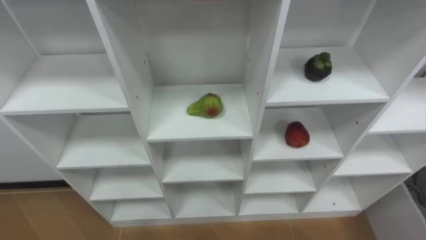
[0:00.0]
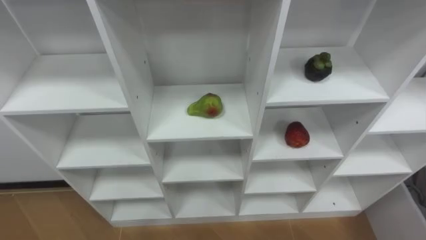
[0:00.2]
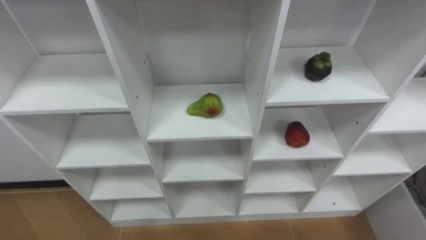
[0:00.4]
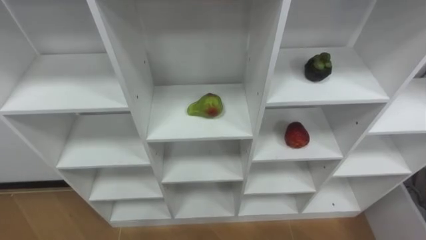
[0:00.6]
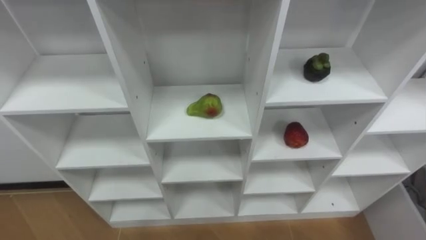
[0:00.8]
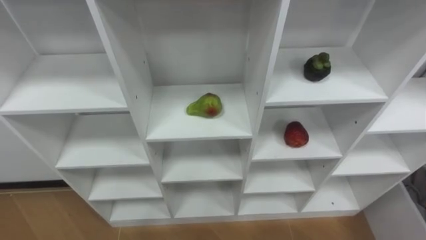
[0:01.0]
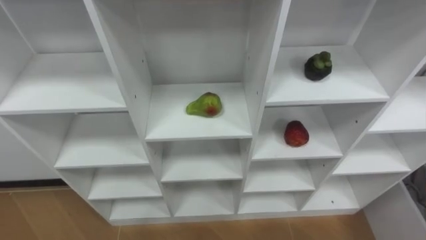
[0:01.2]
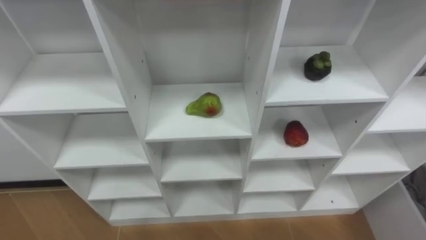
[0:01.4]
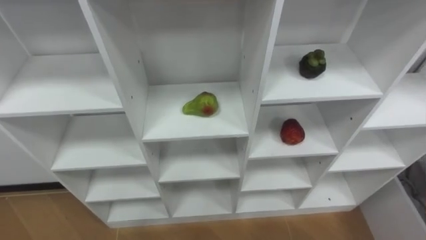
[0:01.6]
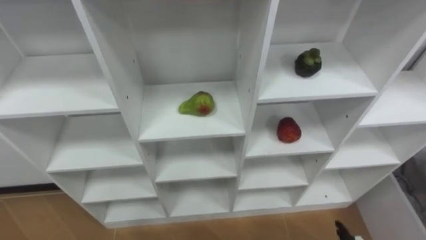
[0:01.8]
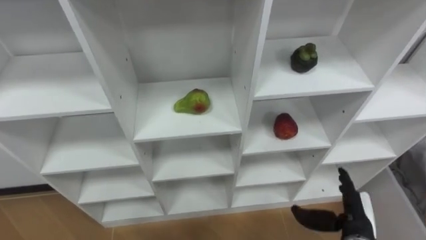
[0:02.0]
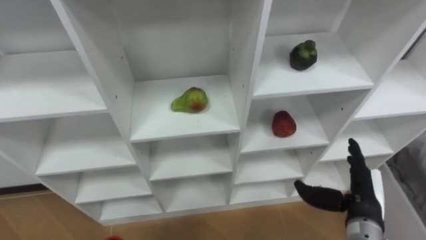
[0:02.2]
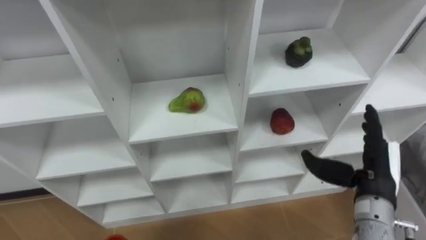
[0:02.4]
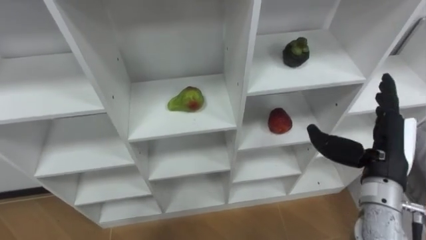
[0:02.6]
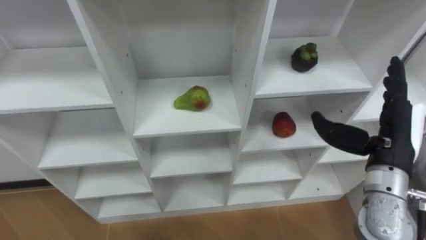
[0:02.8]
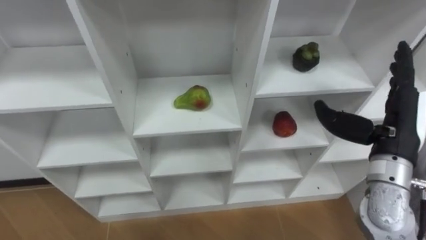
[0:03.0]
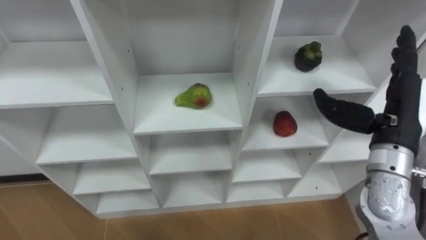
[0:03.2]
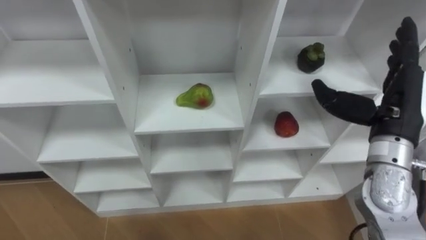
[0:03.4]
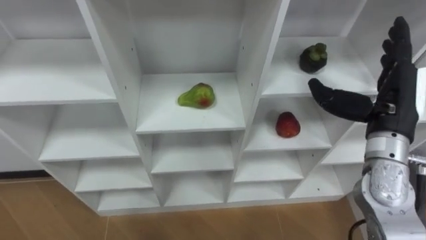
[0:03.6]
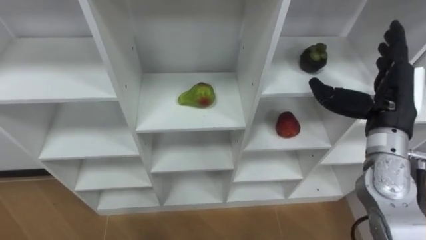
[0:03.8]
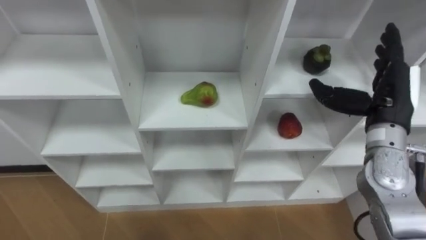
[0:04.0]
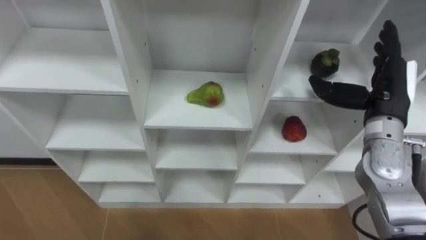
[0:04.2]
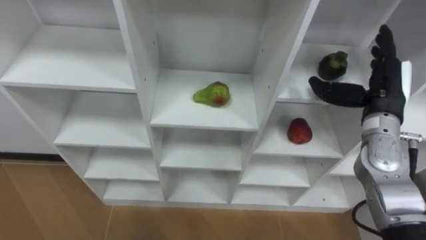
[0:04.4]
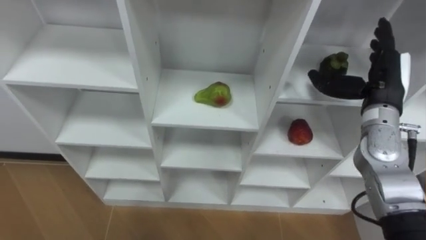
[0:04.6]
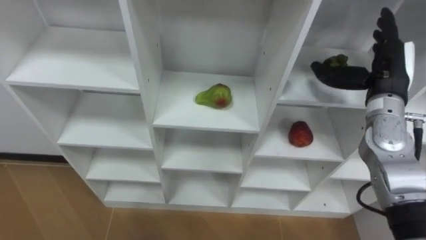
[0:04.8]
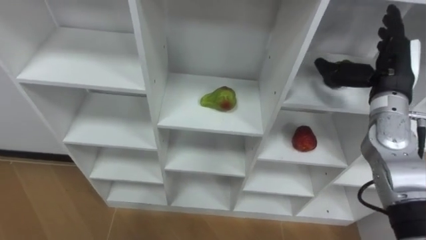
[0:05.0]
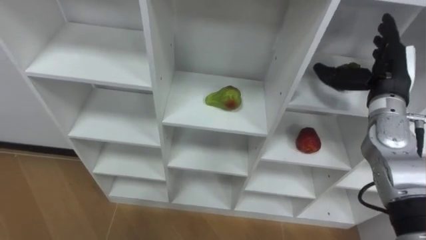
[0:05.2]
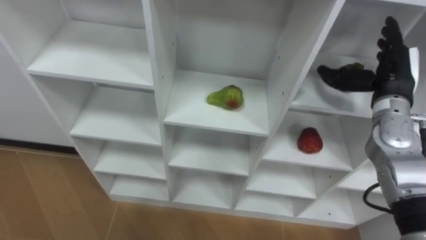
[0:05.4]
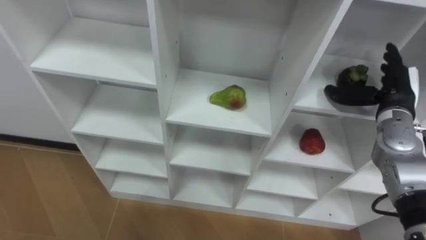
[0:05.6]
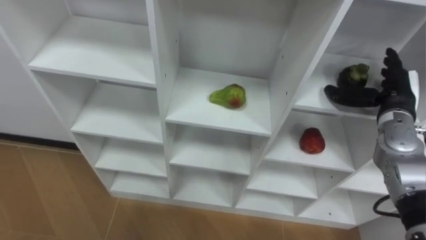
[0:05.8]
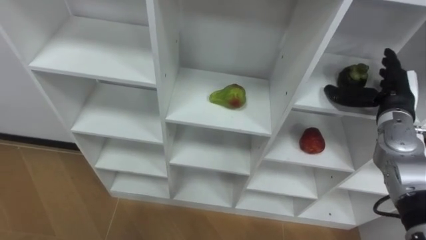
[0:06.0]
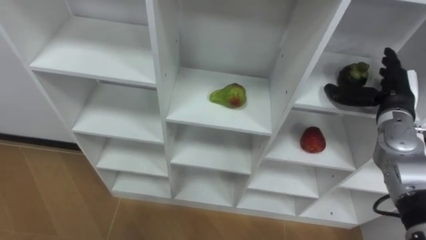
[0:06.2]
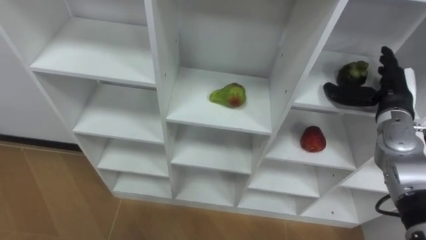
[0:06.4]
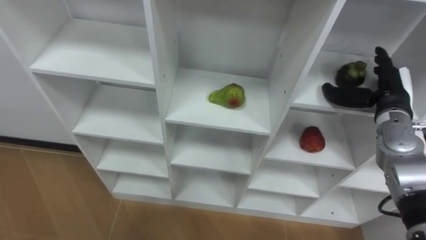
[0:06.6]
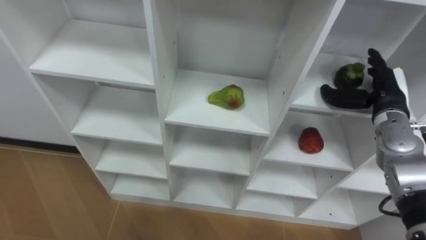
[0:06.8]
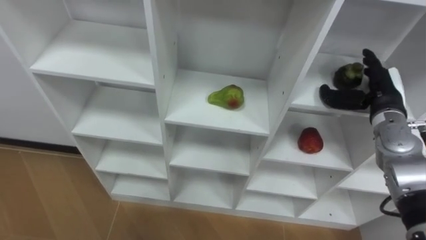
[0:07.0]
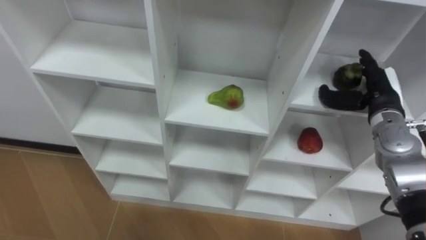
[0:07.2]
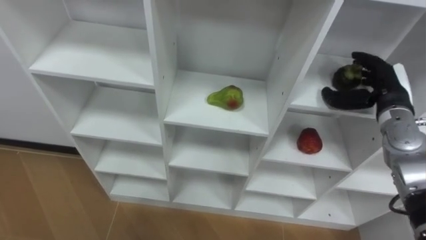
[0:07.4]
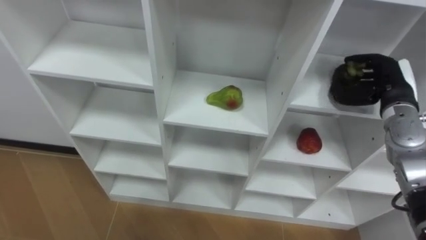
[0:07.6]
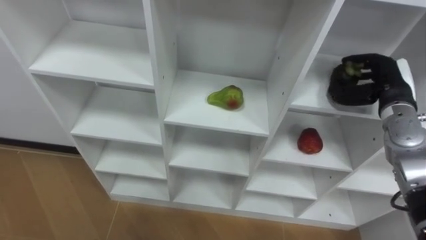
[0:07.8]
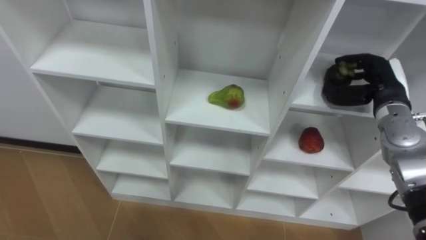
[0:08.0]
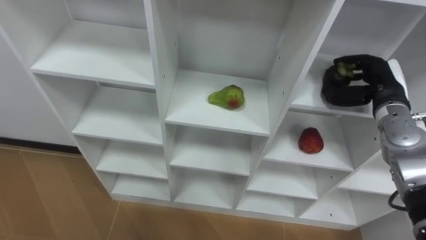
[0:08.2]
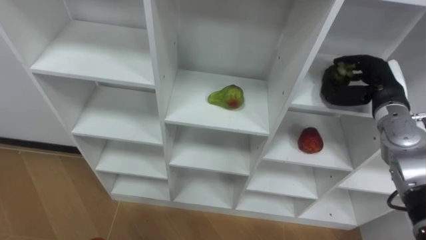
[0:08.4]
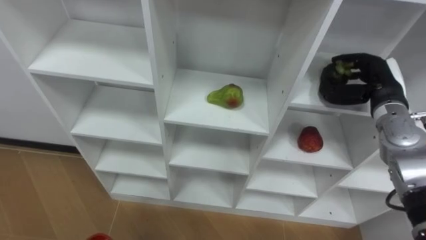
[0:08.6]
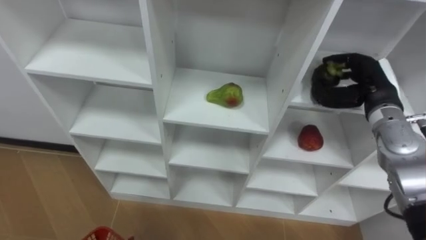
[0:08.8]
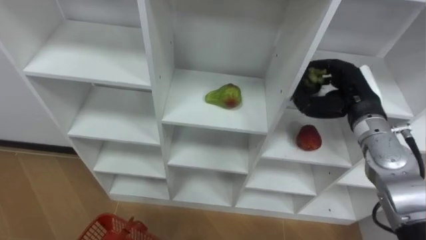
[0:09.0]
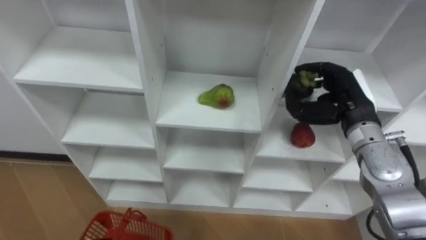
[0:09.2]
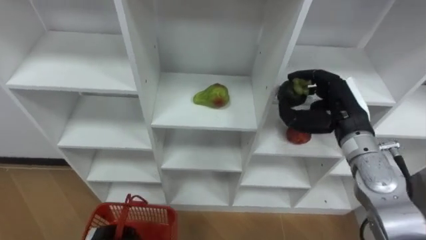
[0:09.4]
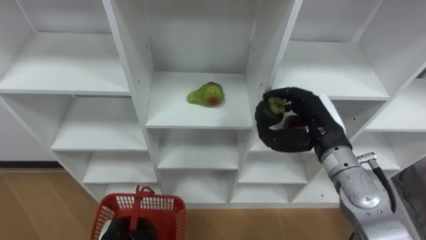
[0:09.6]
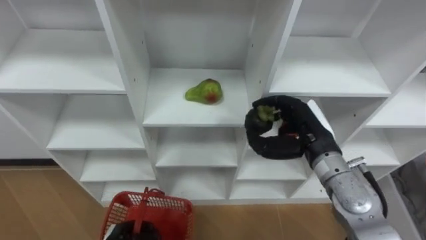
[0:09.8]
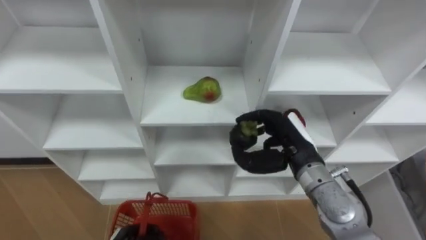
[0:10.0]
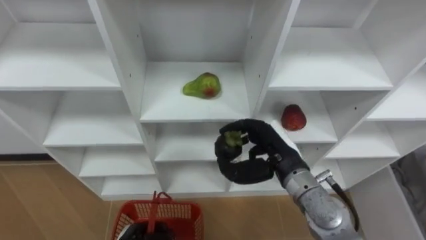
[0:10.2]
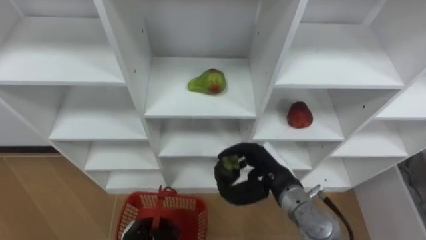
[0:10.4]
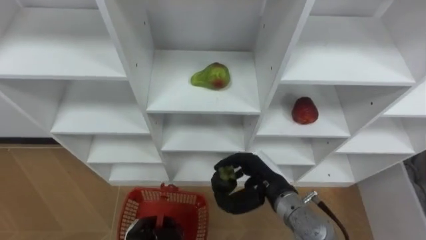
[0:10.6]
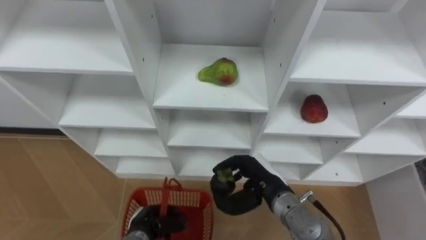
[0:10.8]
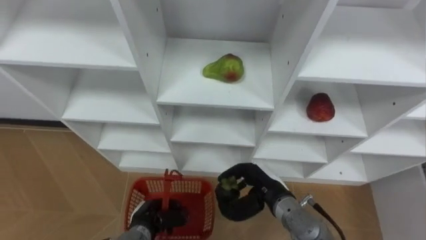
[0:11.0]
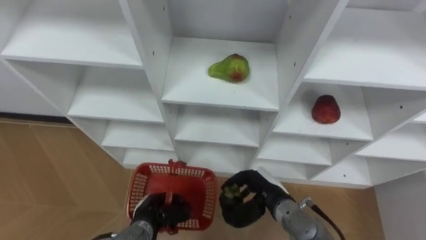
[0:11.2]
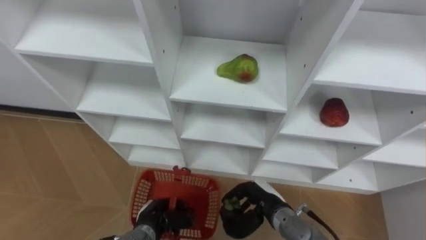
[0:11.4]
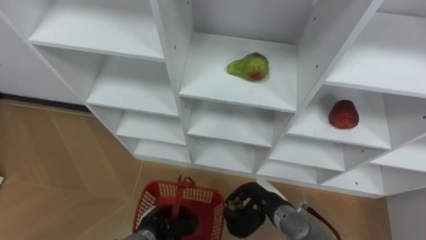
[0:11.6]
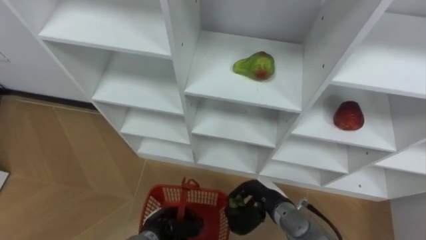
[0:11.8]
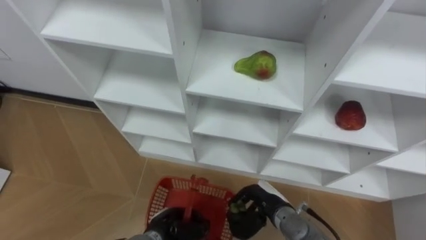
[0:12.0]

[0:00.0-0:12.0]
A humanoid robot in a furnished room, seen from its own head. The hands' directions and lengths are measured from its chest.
Task of the whole recording: Hold the basket and collect the fruits from 3 different cells of the closet into it.
0:03.0 to 0:04.4: The right hand shifts about 10 cm forward.
0:04.4 to 0:06.0: The right hand ends up approximately 5 cm from where it was.
0:06.0 to 0:07.6: The right hand closes its fingers.
0:07.6 to 0:09.0: The right hand heads to the left, covering approximately 5 cm.
0:09.0 to 0:10.4: The right hand is displaced to the left, downward and backward by approximately 20 cm.
0:10.4 to 0:12.0: The left hand travels to the right by approximately 5 cm. The right hand heads downward, covering about 10 cm.

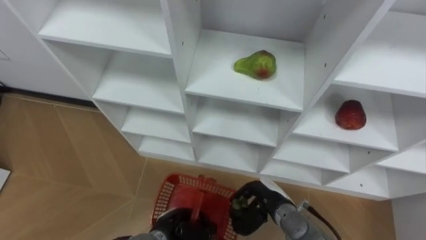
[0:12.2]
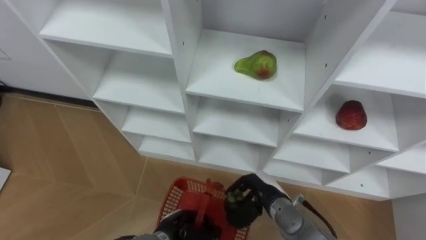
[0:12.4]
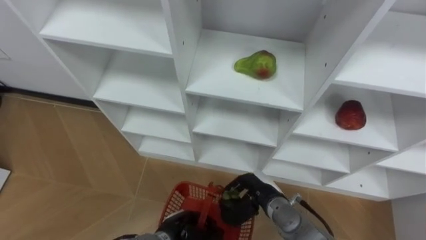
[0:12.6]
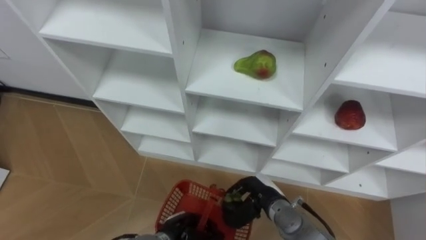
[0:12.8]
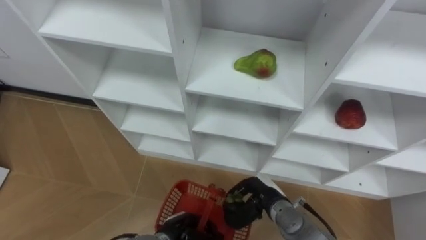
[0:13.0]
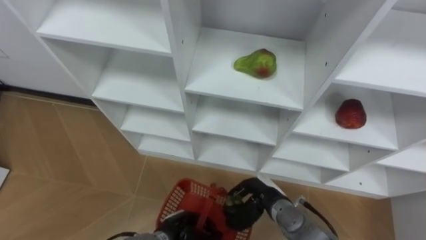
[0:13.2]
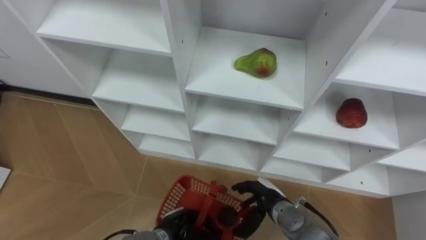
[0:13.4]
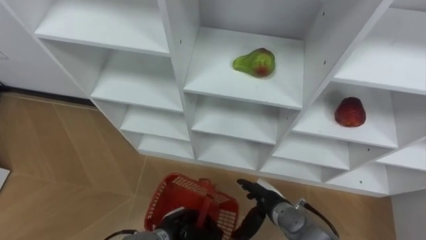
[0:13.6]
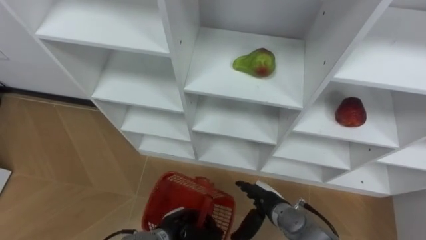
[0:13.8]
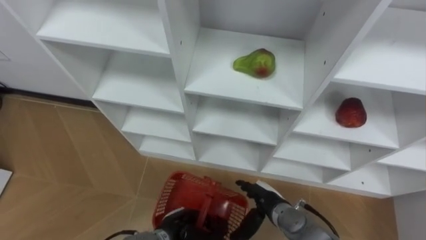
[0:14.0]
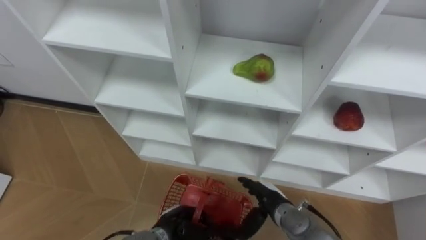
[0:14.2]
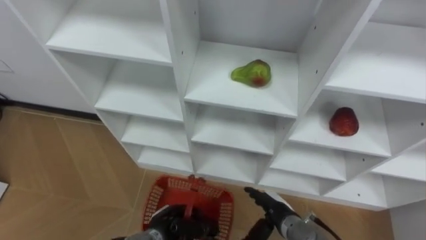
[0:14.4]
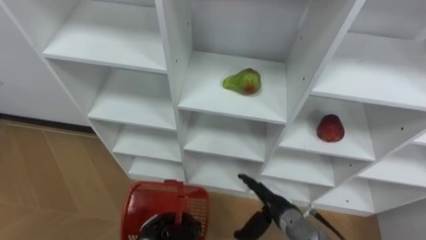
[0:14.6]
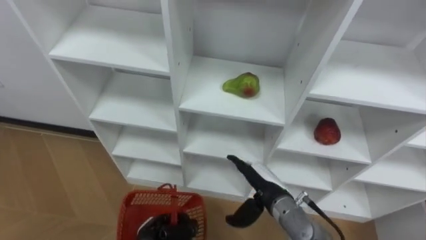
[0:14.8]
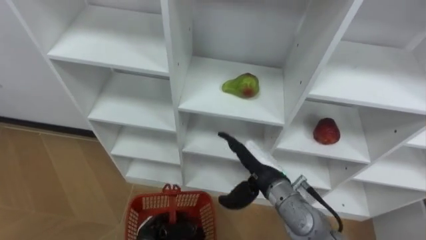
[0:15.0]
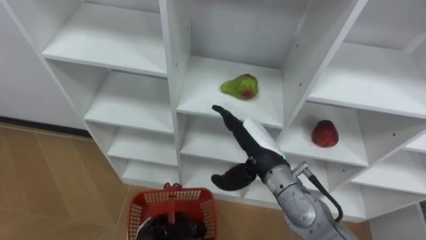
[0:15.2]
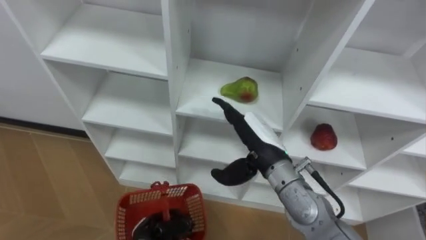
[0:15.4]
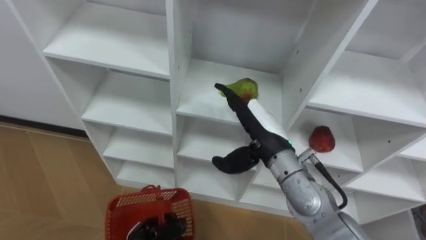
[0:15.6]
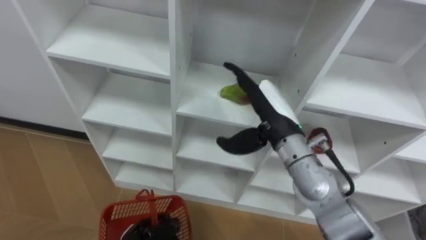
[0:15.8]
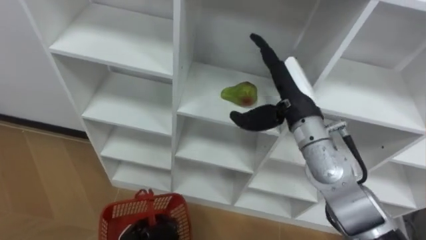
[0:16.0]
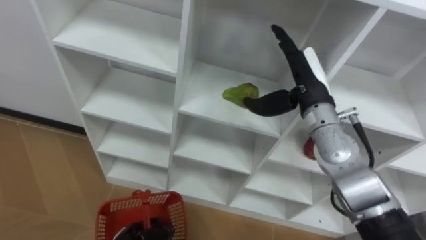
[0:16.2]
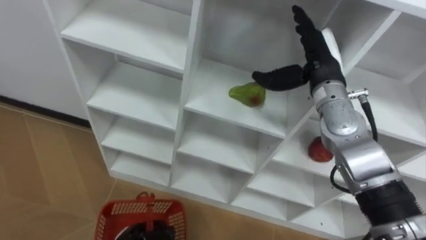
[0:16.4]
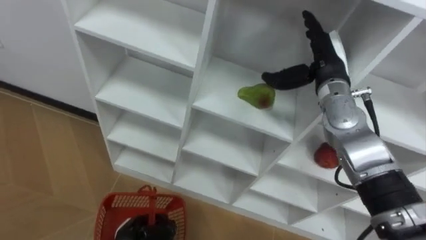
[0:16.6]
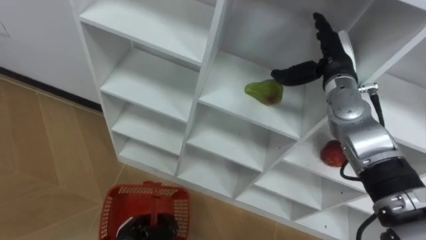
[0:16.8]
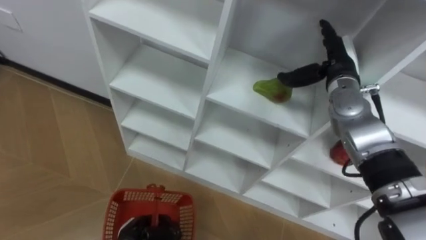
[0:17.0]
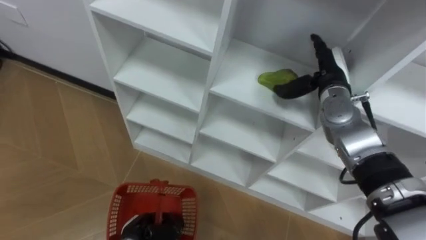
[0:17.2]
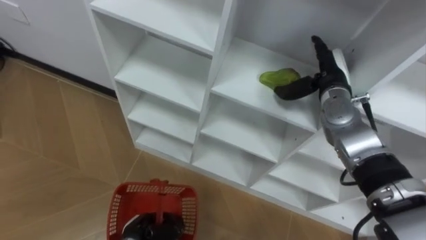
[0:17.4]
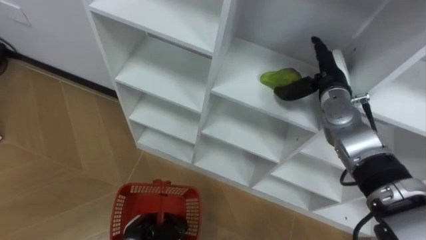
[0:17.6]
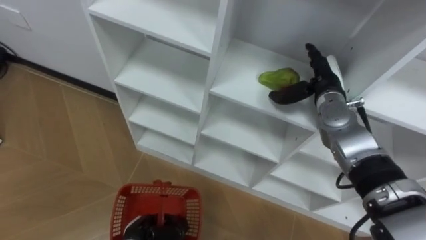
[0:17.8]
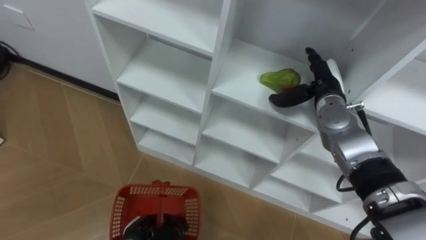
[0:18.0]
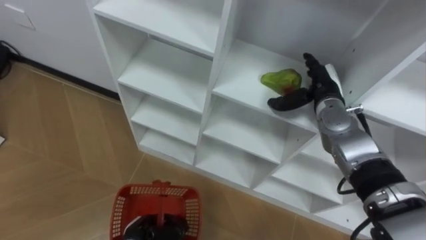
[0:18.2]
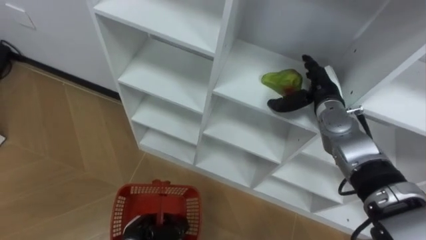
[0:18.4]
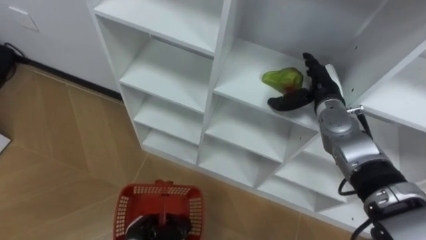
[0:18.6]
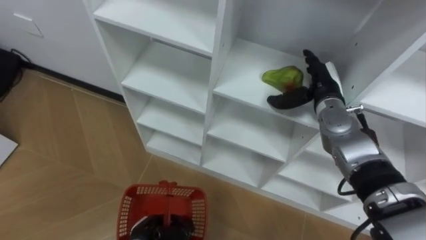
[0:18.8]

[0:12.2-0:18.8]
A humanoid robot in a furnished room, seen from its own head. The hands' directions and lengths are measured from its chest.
Task of the whole recording: Hold the basket and collect the fruits from 3 different cells of the closet into it.
0:12.2 to 0:13.8: The right hand opens.
0:13.8 to 0:15.4: The left hand is displaced to the left by about 5 cm; the right hand moves upward, some 20 cm.
0:15.4 to 0:17.2: The right hand goes roughly 20 cm to the right and forward.
